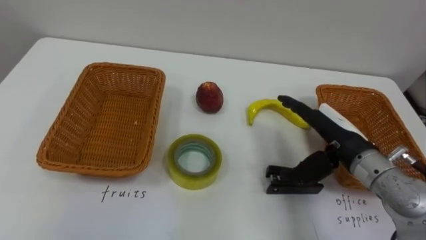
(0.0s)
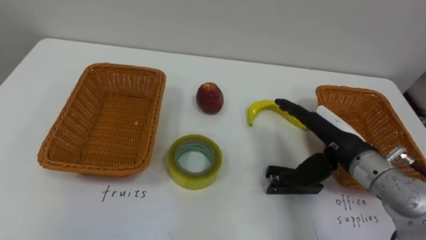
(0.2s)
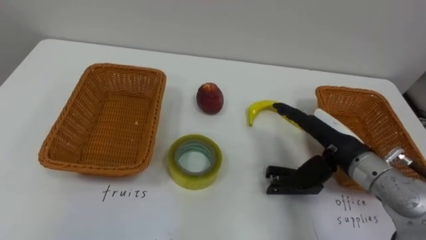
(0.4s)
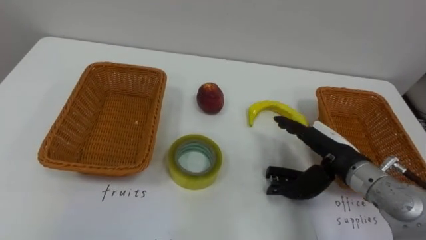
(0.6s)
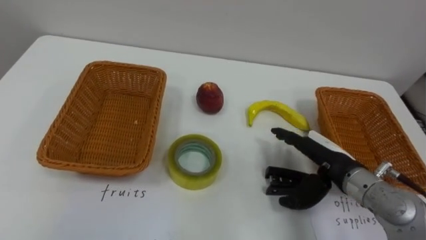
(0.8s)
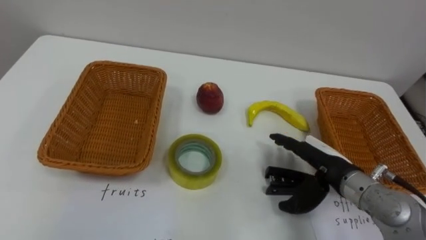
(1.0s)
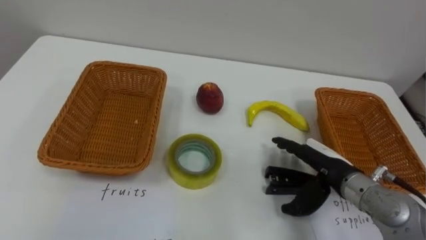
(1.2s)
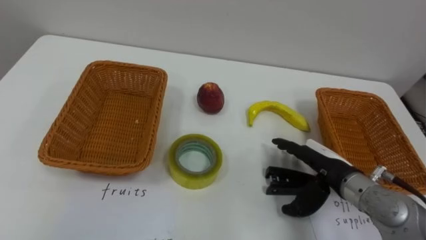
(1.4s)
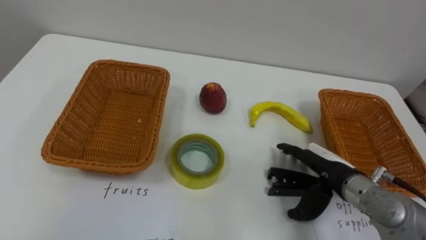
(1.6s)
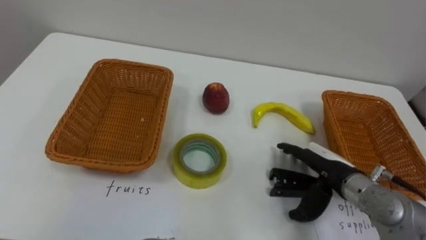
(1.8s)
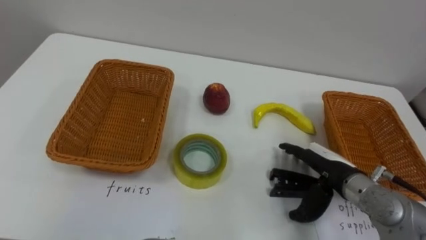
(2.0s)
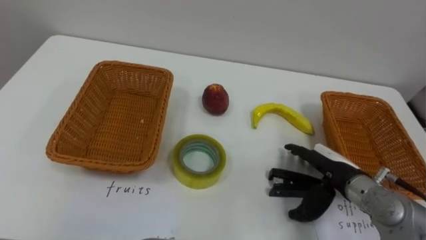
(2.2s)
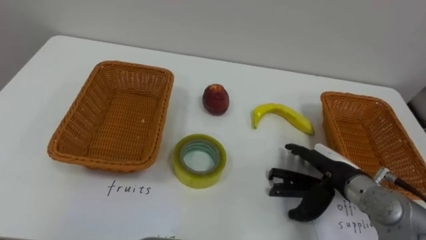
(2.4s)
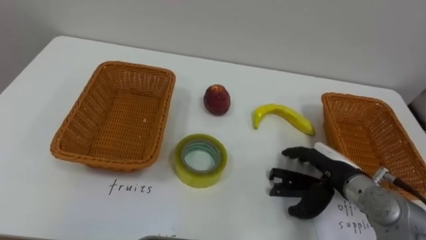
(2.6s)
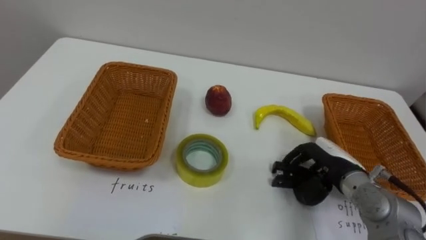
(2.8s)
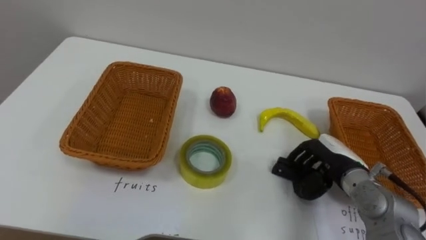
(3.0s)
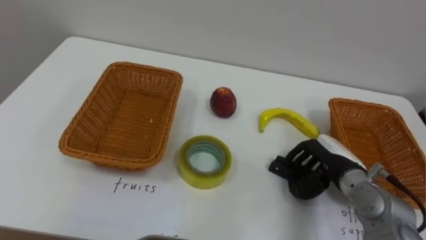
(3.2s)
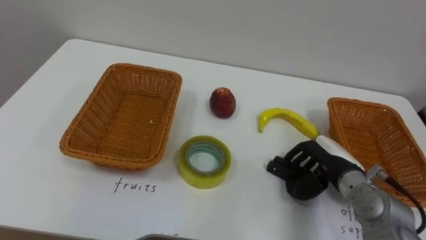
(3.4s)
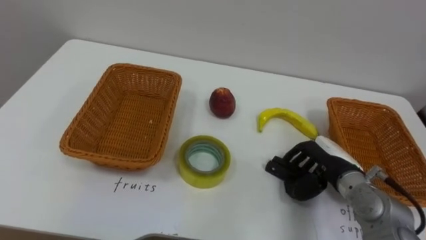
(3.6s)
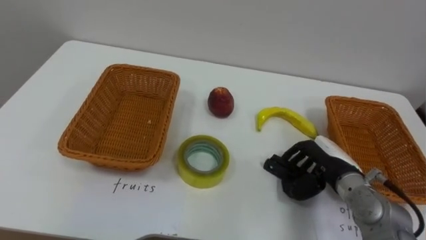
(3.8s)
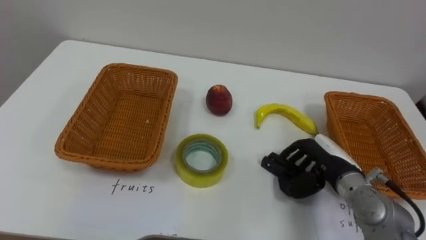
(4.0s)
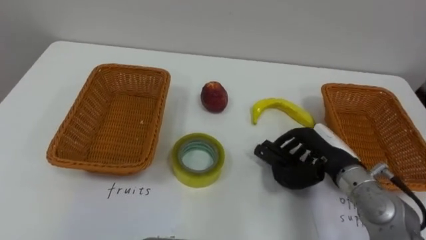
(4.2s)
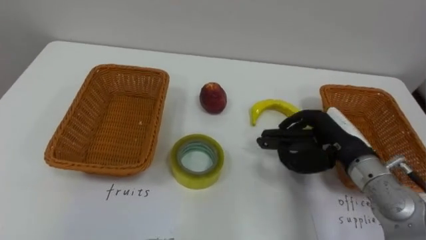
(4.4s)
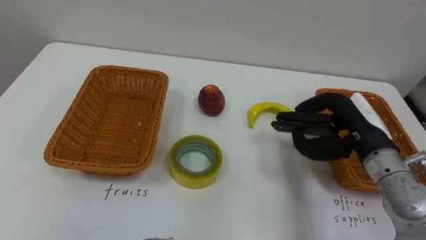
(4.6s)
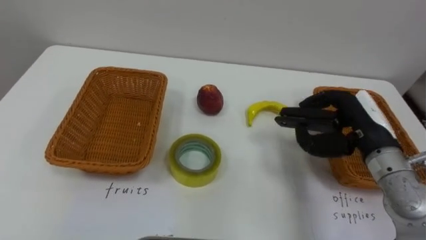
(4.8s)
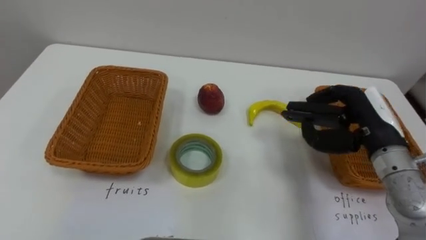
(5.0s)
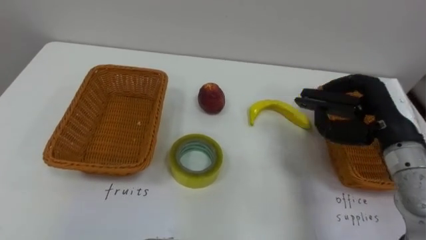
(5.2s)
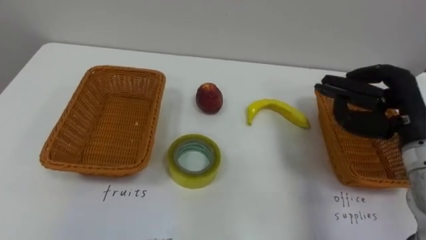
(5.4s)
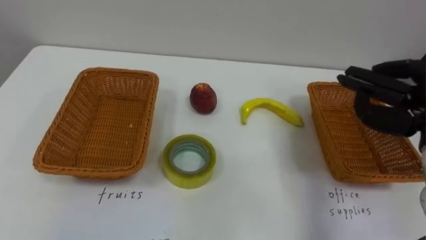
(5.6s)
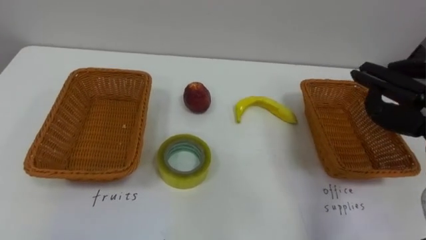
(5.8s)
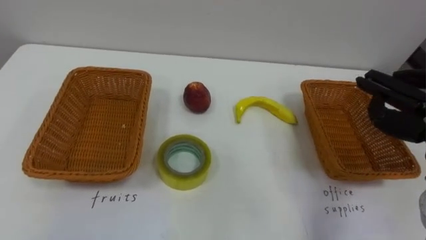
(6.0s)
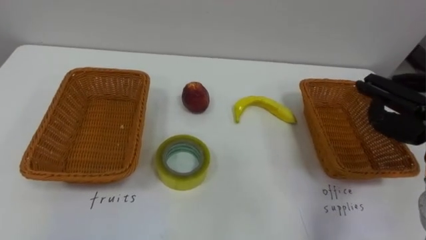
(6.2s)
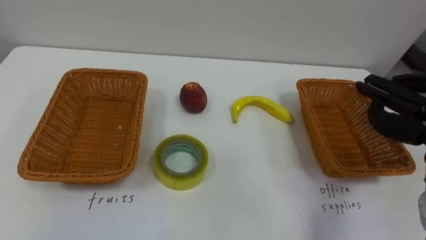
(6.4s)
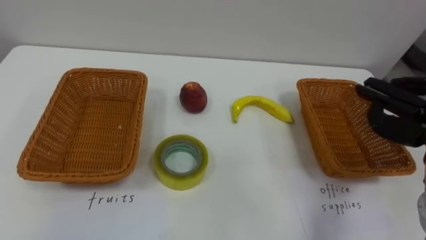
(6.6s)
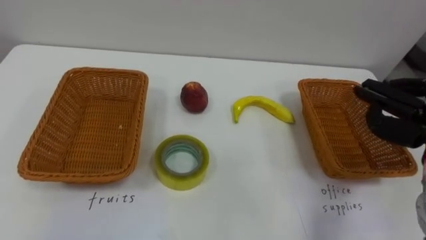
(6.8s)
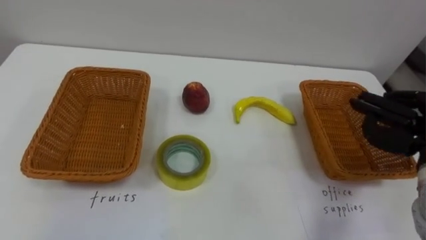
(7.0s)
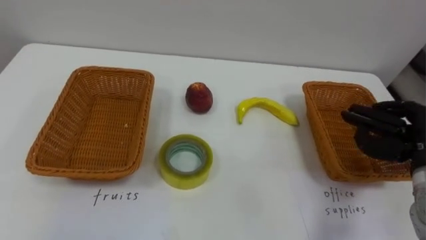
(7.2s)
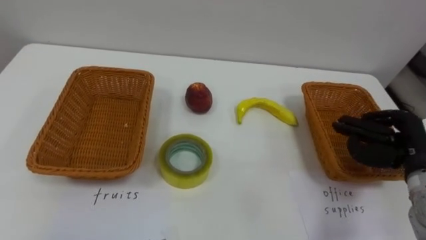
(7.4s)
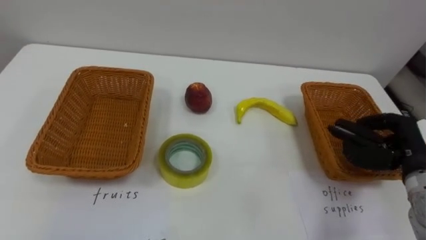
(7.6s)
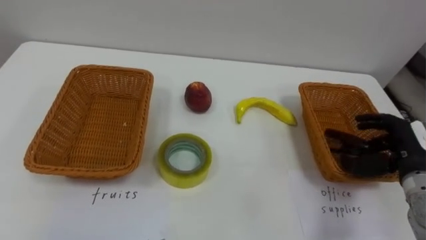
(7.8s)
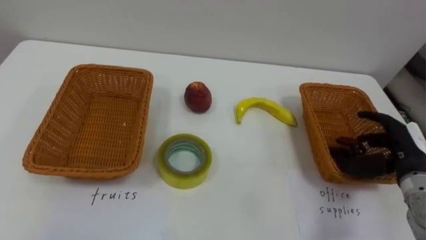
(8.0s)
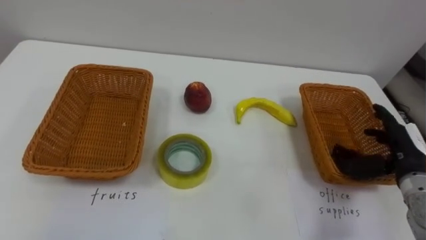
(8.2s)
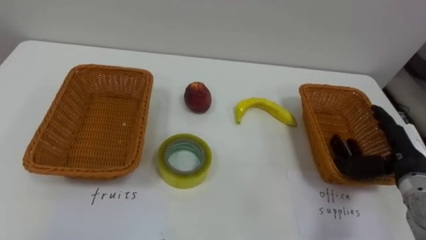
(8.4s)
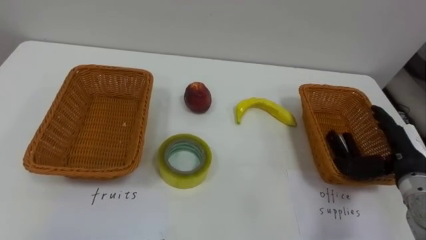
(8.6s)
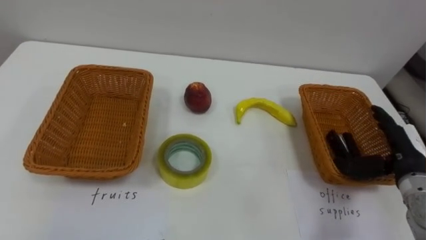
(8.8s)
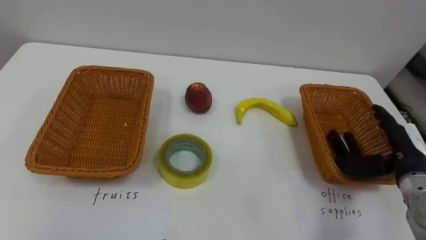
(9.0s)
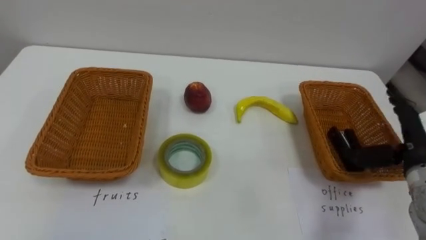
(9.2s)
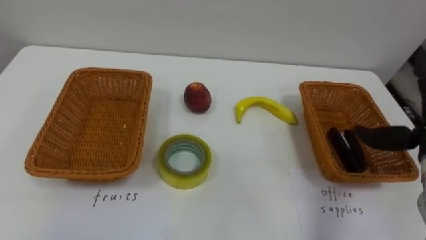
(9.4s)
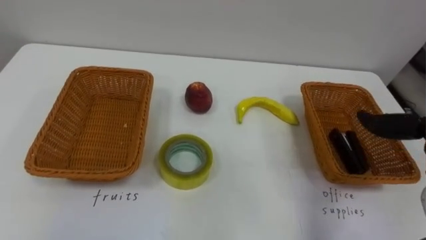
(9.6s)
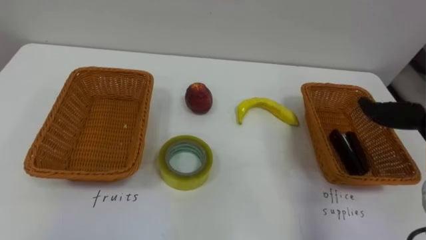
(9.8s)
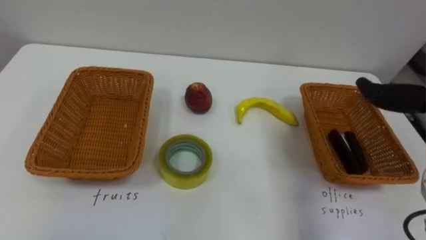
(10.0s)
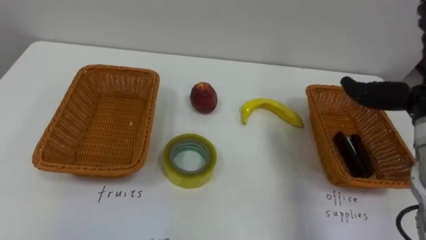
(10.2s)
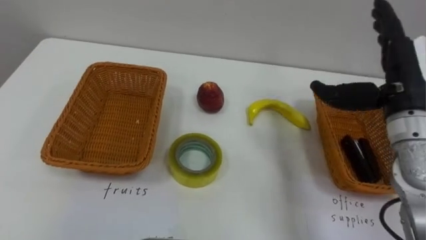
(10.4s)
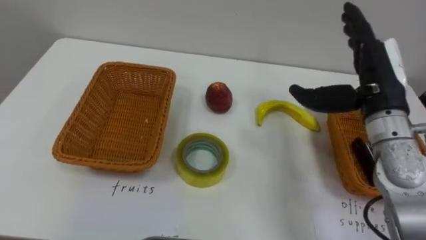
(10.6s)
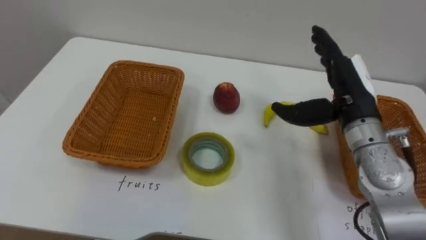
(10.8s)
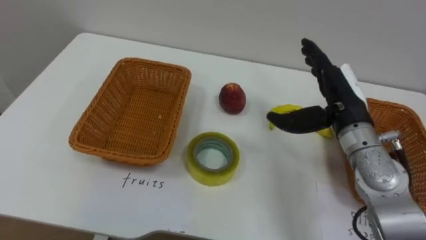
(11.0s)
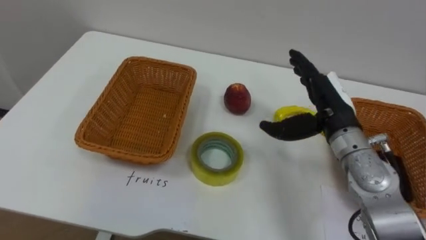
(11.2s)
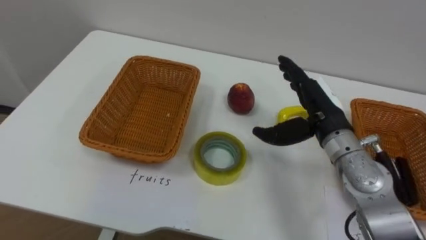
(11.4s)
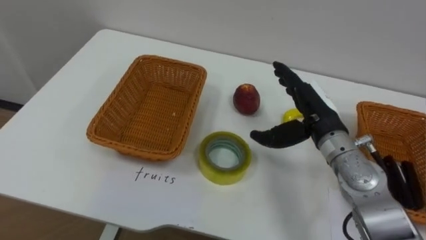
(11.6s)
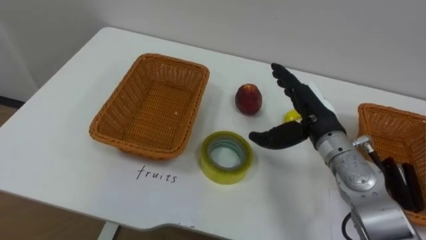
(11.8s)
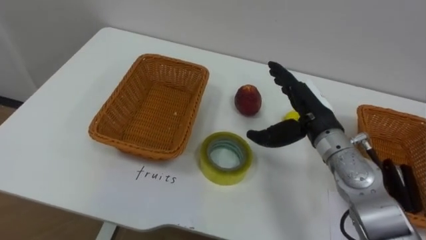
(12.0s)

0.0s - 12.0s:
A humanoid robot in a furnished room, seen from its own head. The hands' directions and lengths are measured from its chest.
Task of the whole recording: Separate the items on the table and place them into the two baskets.
0.0s - 1.6s: The right hand travels downward by approximately 5 cm.
1.6s - 3.0s: The right hand closes its fingers.
3.0s - 4.4s: The right hand is displaced upward by about 5 cm.
7.6s - 9.0s: The right hand opens its fingers.
10.4s - 12.0s: The right hand is displaced to the left and downward by approximately 15 cm.

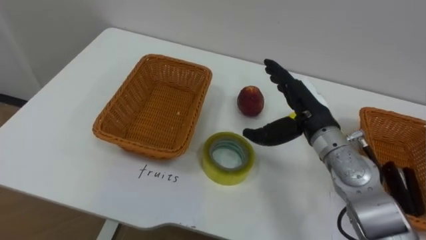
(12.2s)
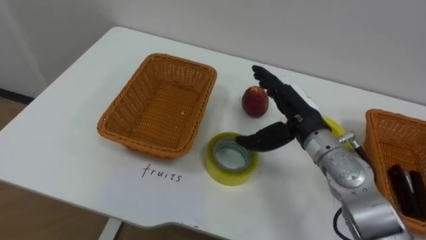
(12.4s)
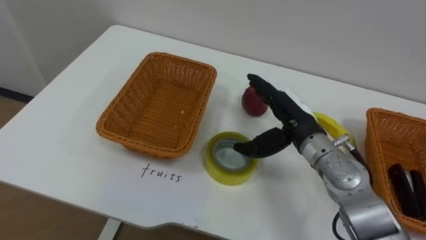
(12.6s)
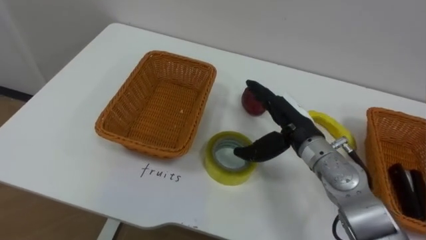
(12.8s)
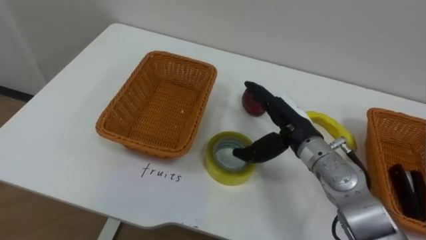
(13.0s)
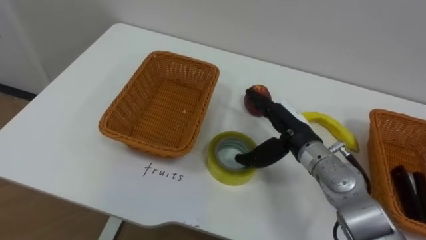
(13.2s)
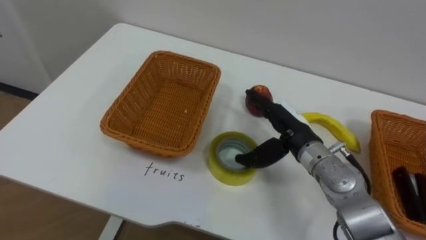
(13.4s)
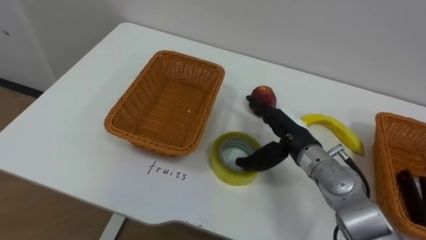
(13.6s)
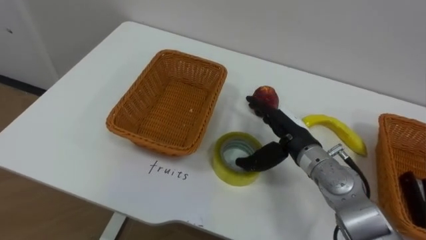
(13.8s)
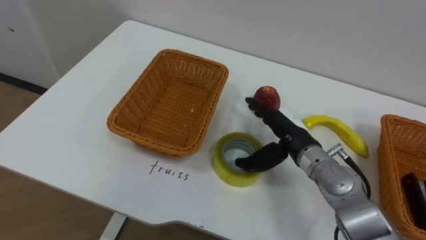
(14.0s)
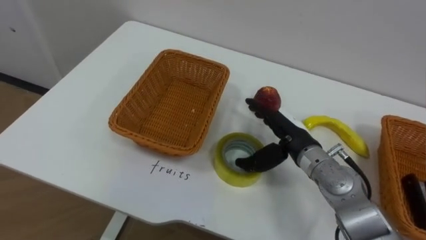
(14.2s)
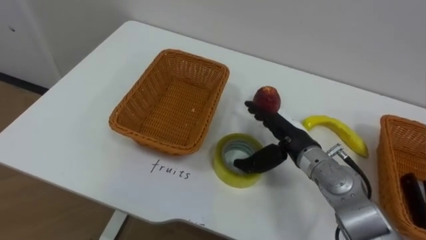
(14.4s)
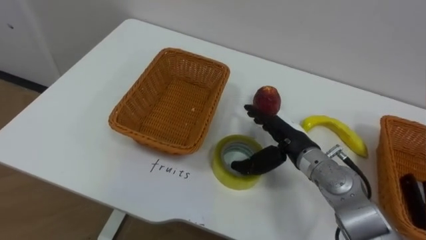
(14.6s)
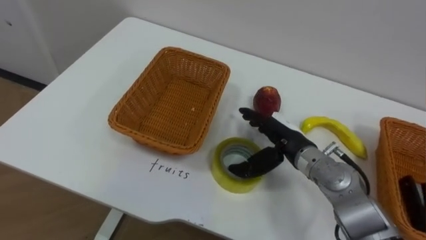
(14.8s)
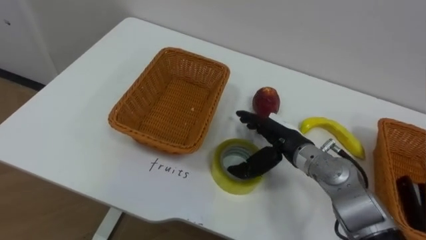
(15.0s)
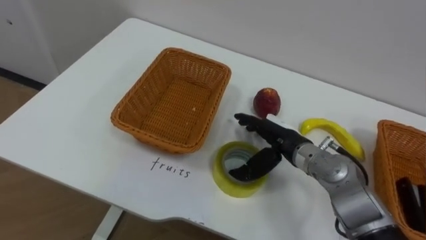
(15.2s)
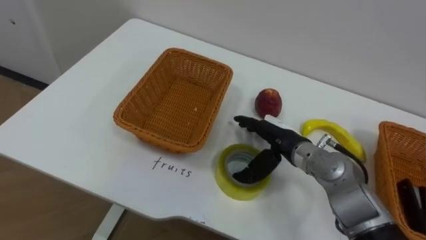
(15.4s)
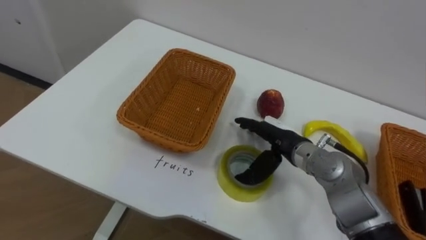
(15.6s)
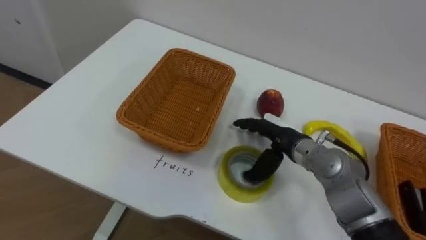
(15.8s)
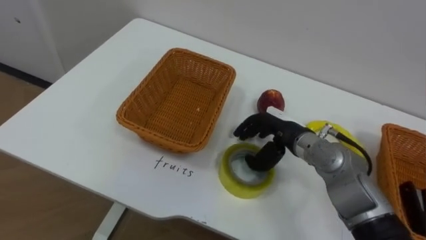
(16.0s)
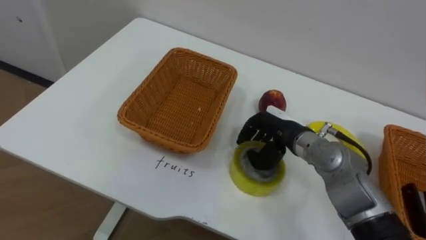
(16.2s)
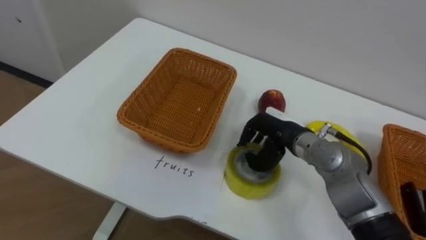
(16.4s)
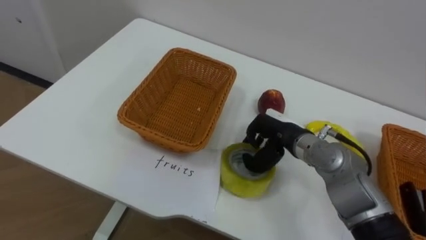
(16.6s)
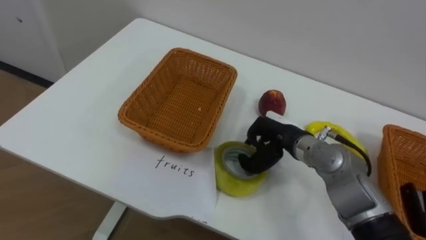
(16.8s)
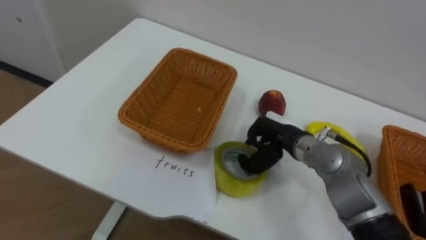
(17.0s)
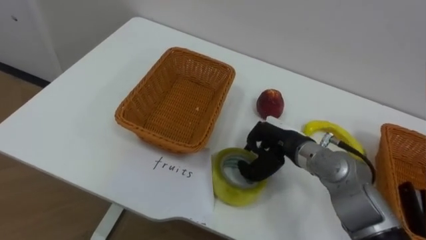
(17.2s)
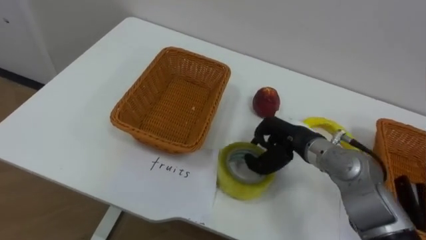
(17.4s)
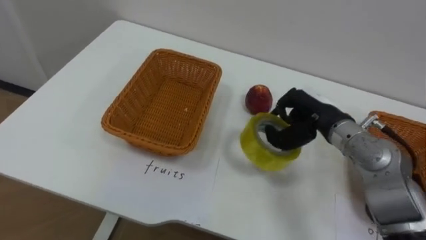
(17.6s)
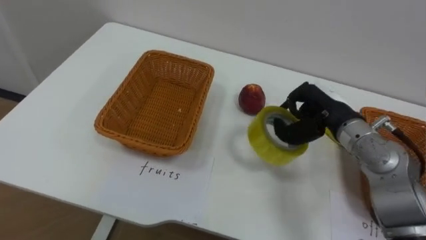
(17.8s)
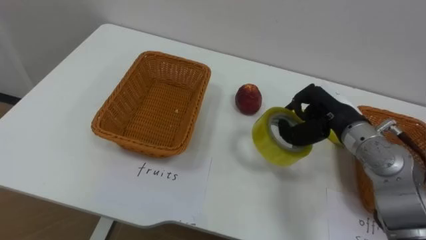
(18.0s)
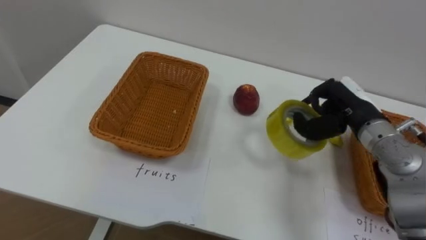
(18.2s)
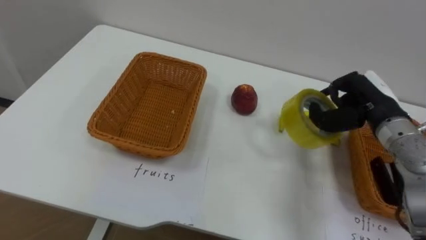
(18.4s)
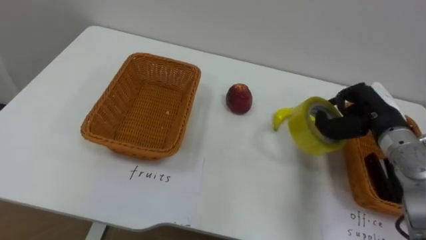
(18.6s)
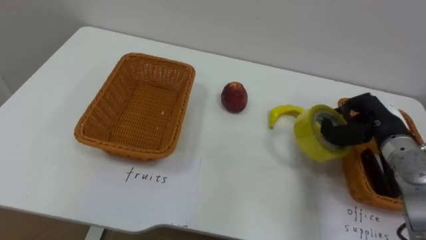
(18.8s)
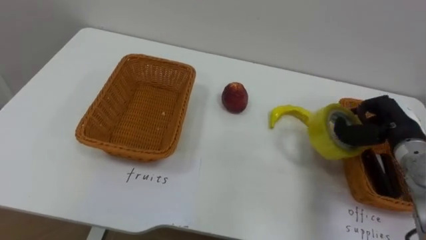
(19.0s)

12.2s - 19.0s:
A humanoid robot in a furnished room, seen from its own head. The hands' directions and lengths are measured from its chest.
Task of the whole recording: Separate the items on the table and place them into the two baskets.
12.2s - 13.6s: The right hand goes some 5 cm downward.
15.0s - 16.2s: The right hand closes up.
16.2s - 17.6s: The right hand moves to the right, roughly 5 cm.
17.6s - 19.0s: The right hand is displaced to the right by about 15 cm.
